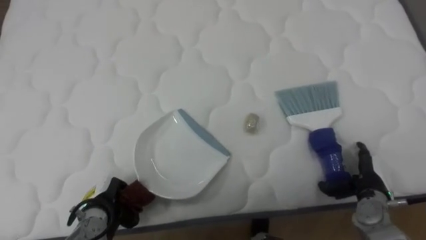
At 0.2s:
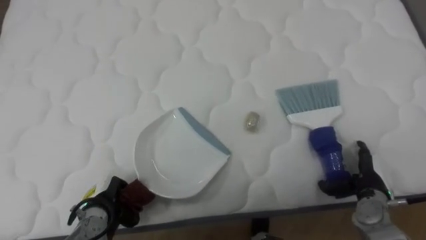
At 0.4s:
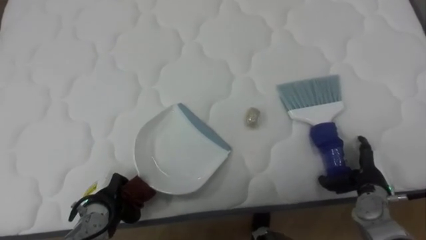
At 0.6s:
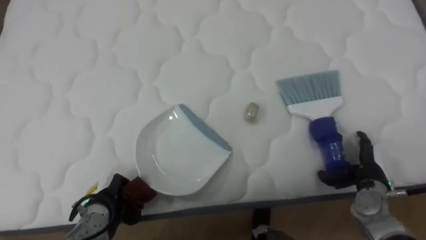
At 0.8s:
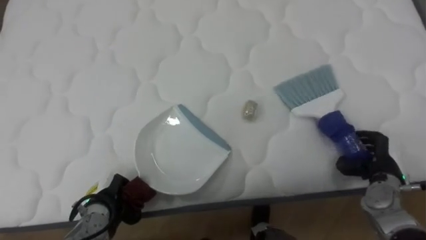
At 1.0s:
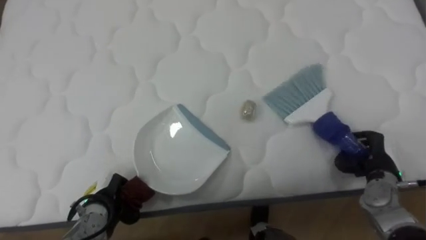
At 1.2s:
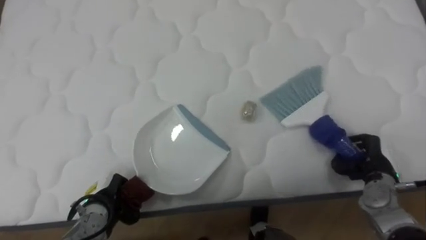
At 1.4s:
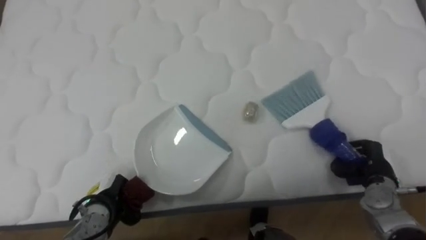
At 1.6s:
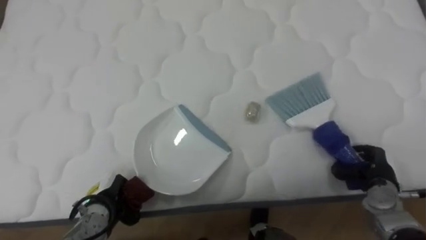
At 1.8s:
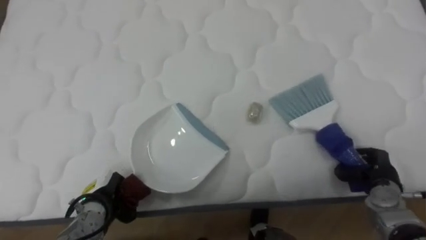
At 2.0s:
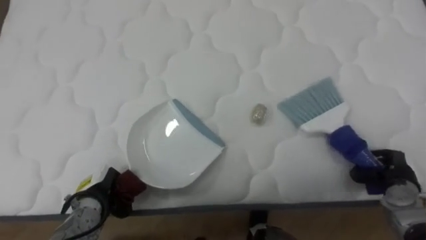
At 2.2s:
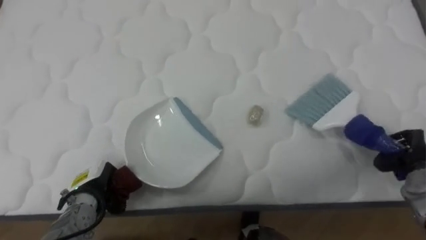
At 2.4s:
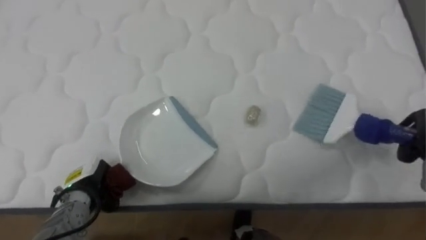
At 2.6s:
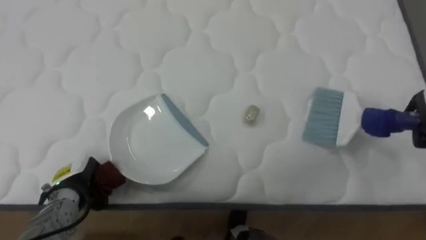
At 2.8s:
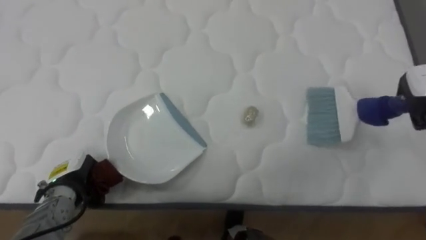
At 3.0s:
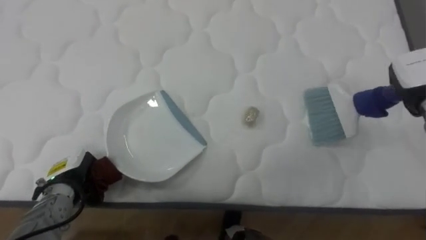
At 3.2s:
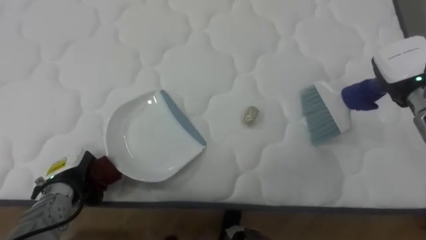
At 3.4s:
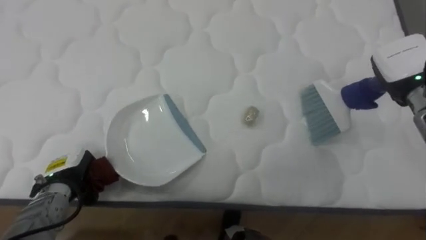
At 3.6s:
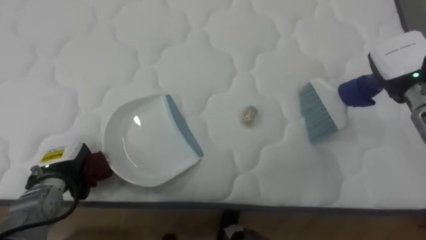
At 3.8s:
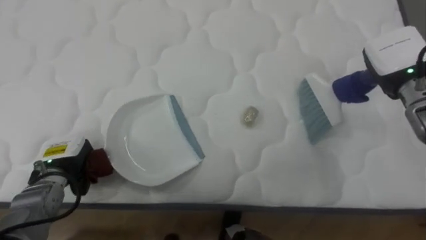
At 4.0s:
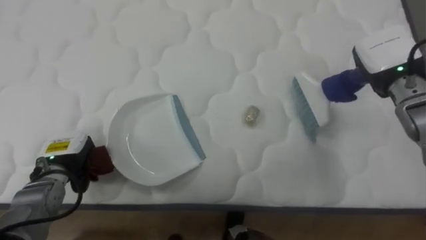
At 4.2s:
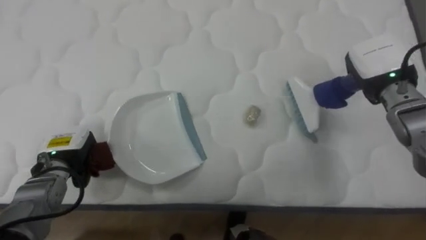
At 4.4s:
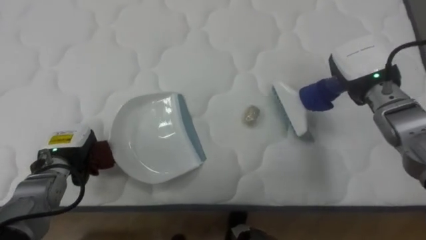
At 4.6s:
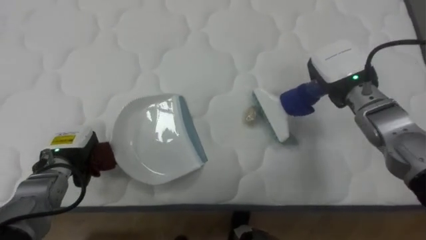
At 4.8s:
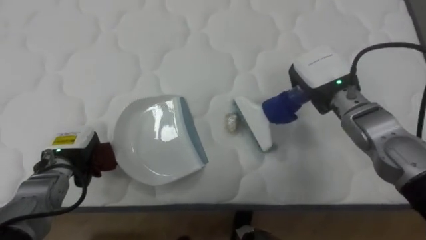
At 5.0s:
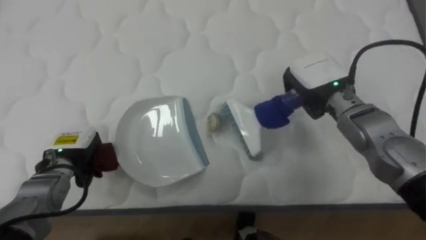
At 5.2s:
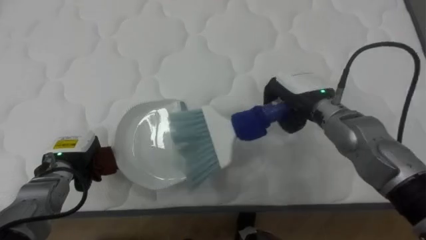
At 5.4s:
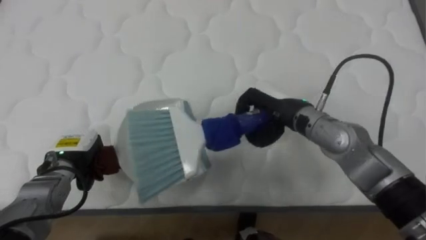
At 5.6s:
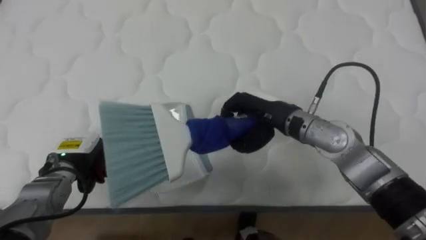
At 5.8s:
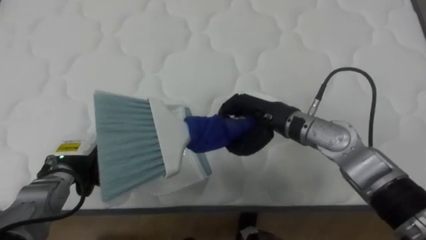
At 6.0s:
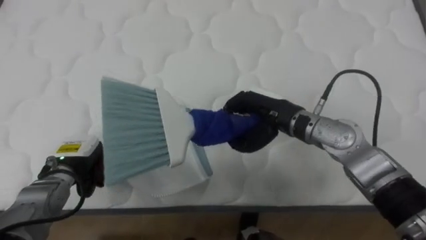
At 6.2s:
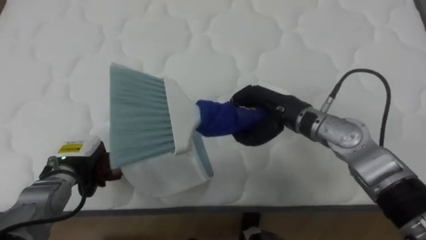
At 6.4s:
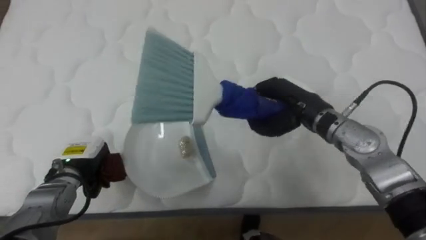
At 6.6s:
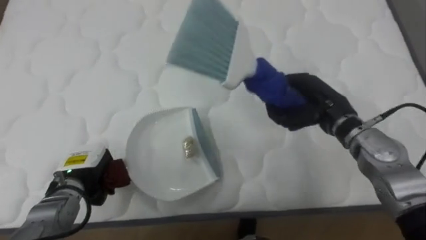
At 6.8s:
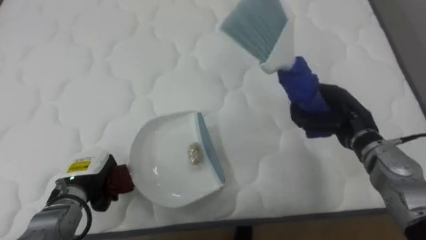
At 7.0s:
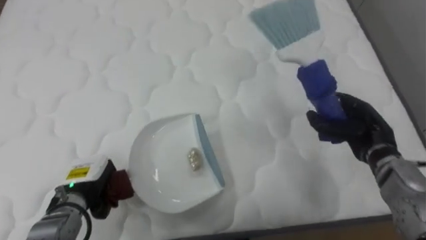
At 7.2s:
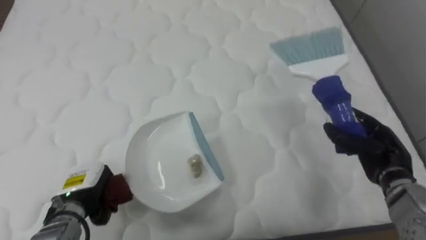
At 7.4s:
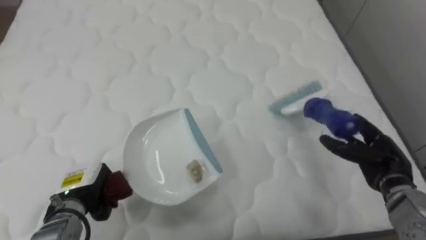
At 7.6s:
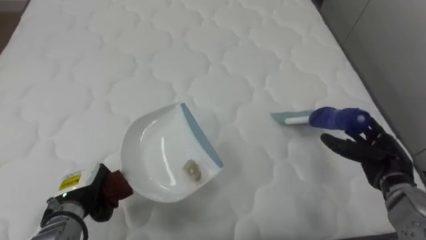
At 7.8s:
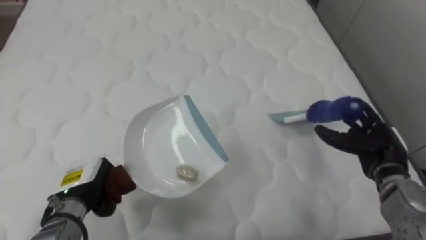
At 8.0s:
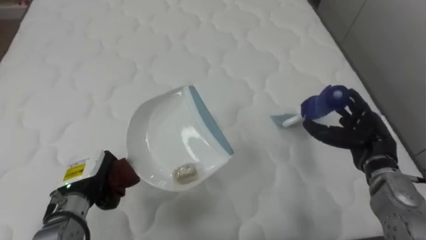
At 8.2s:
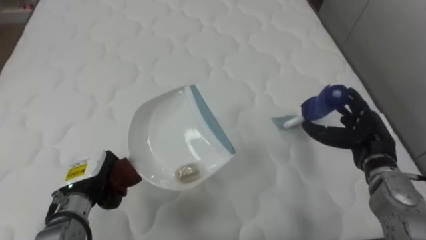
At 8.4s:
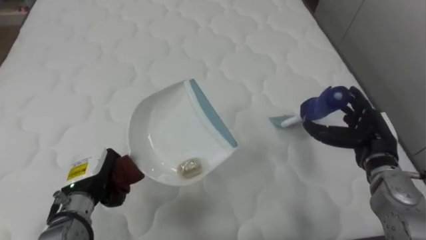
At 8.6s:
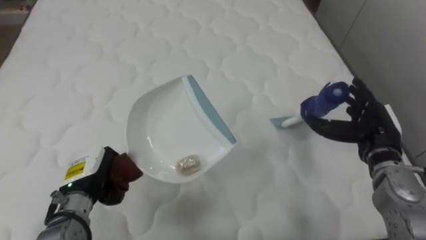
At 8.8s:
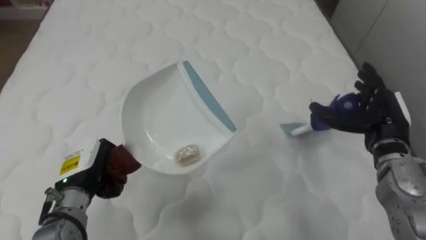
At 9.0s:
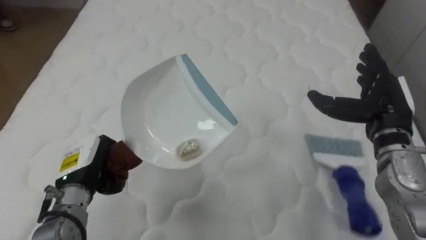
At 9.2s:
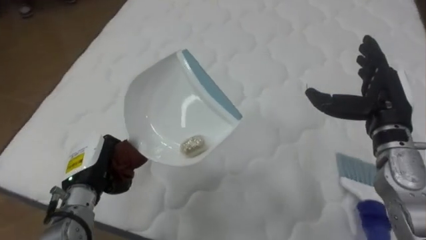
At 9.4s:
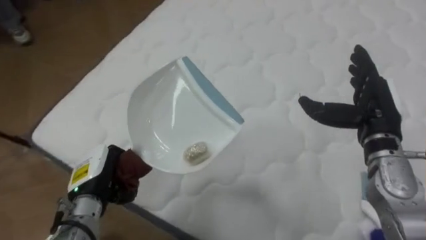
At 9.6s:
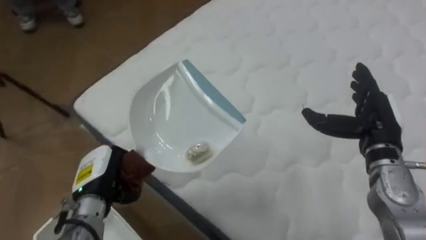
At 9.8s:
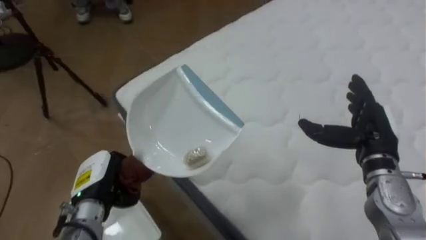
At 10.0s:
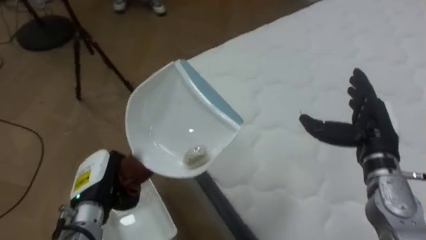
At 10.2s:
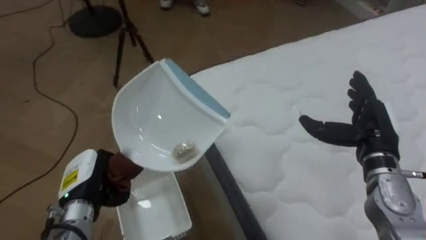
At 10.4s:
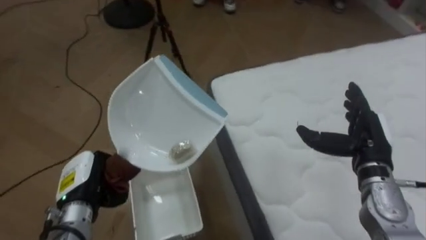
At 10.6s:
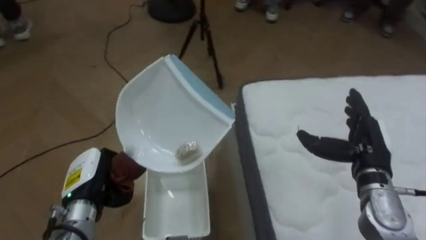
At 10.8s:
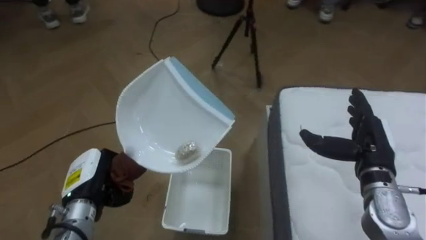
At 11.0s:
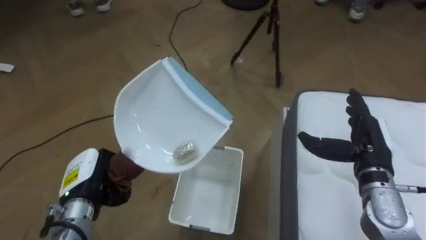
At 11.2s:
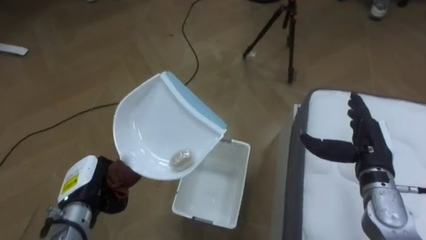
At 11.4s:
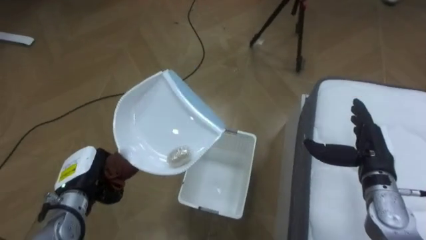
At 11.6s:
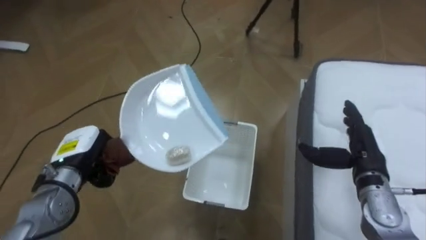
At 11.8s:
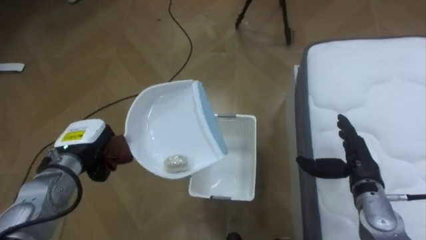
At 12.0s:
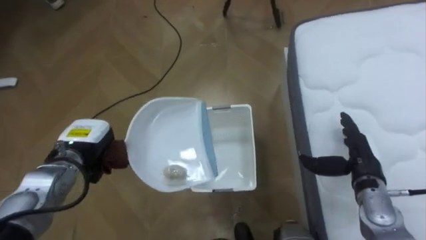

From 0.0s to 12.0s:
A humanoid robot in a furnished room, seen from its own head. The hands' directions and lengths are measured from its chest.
Task of the whole recording: Pick up the brush on your right and the dustpan on your left. Use the brush to sweep the crumpled paper on the bed into the dustpan, then turn left and empty it into the basket.
From 0.0s to 1.6s: The right hand closes.
From 1.6s to 3.0s: The left hand shifts about 10 cm to the left and upward.
From 3.0s to 4.4s: The left hand shifts by approximately 5 cm. The right hand is displaced to the left by some 10 cm.
From 4.4s to 6.0s: The right hand goes approximately 15 cm to the left.
From 6.0s to 7.6s: The right hand goes approximately 25 cm to the right and downward, and opens up. The left hand travels backward by roughly 5 cm.
From 7.6s to 9.0s: The right hand goes roughly 10 cm upward. Meanwhile the left hand travels upward by some 5 cm.
From 9.0s to 10.4s: The robot turns to its left by about 60 degrees. The right hand heads downward, covering approximately 5 cm.
From 10.4s to 12.0s: The left hand is displaced forward by roughly 10 cm. Meanwhile the right hand moves downward, some 5 cm.

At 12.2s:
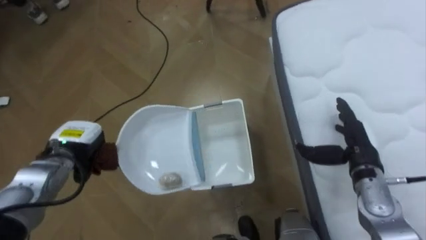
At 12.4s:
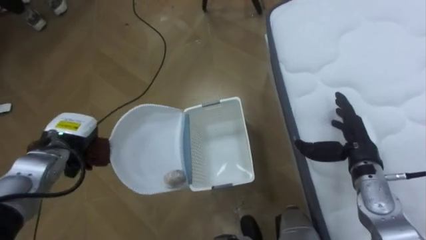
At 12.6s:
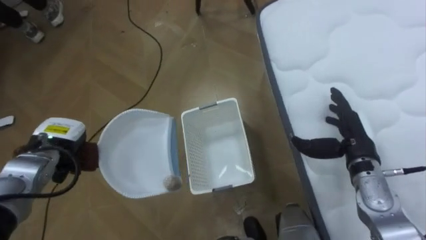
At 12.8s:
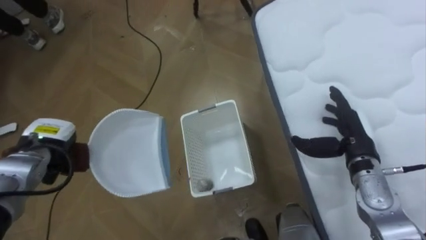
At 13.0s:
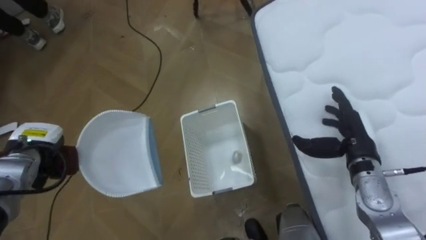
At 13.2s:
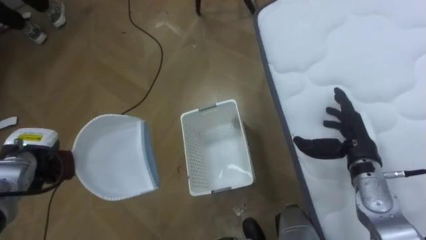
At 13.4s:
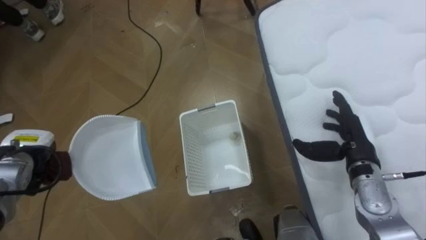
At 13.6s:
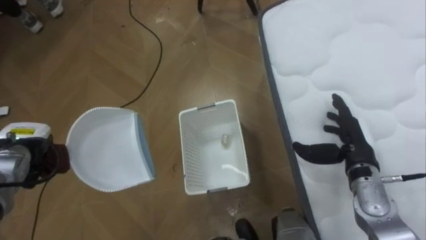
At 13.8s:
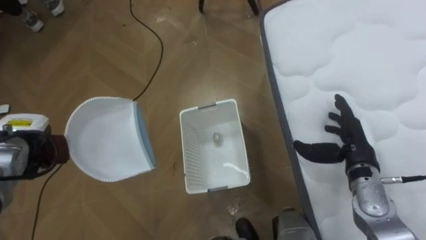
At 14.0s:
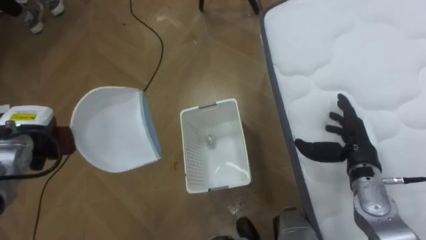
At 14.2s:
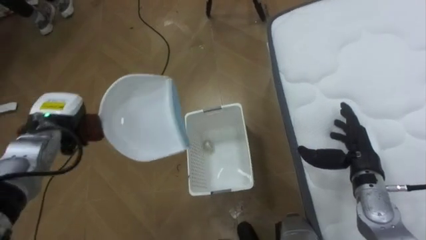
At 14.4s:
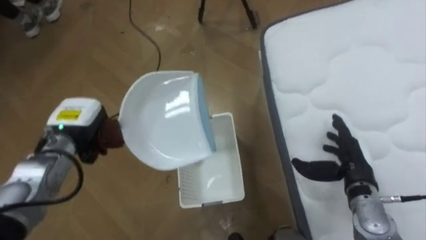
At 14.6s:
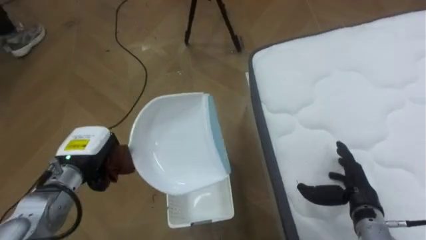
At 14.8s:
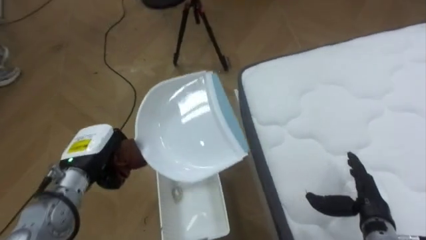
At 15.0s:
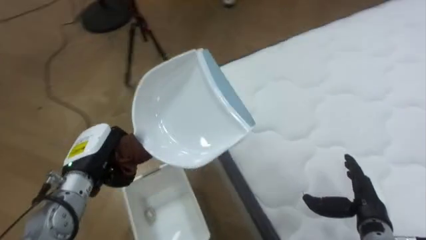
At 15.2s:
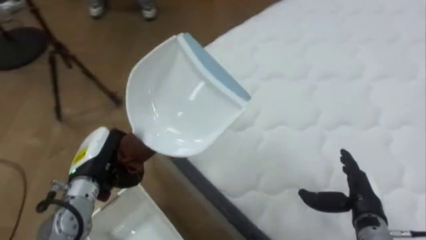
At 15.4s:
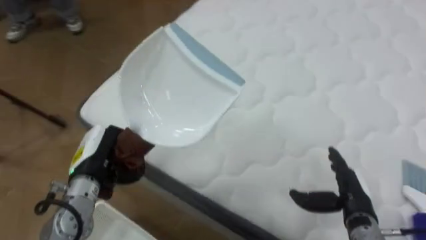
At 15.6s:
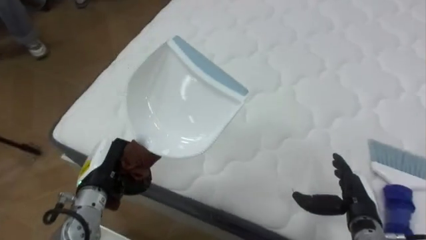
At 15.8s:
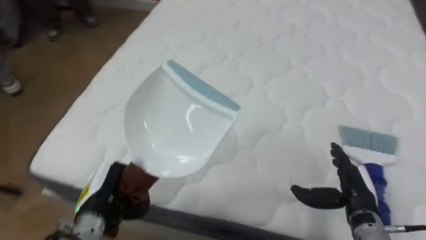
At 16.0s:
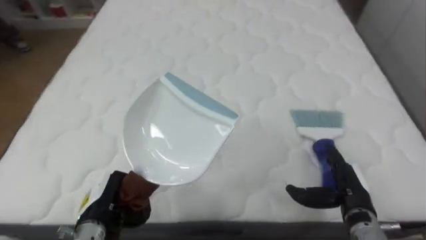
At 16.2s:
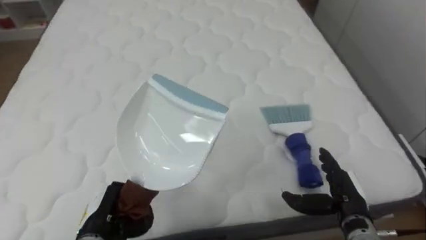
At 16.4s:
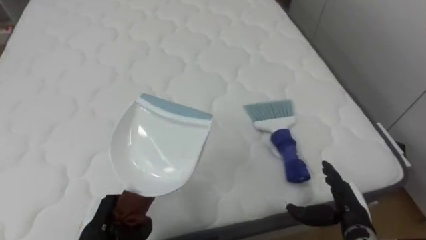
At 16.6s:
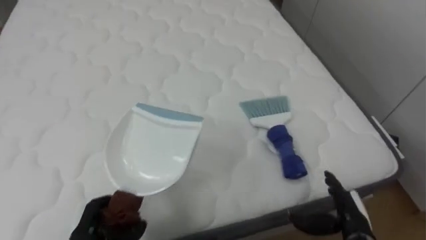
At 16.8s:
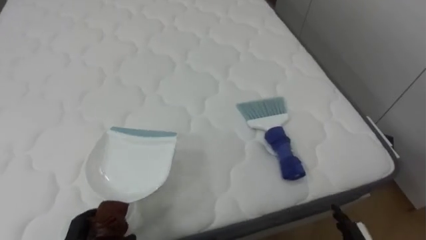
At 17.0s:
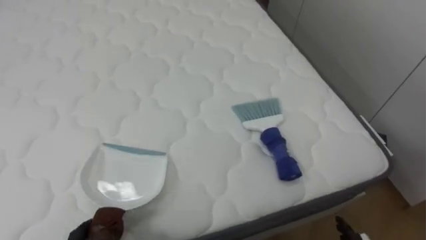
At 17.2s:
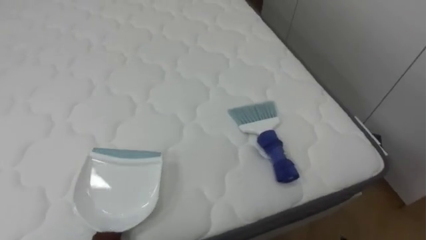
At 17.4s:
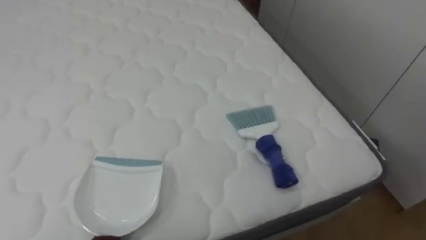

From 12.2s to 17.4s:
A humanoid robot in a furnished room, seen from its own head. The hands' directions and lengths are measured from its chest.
Task of the whole recording: Pick up the brush on your right and the dustpan on your left. Use the brush to sweep the crumpled paper on the bed into the dustpan, then turn left and empty it into the basket.
From 12.2s to 14.0s: The left hand goes about 10 cm to the left.
From 14.0s to 15.6s: The robot turns to its right by some 75 degrees. The right hand travels backward and downward by approximately 10 cm; the left hand moves to the right and backward, about 15 cm.
From 15.6s to 17.4s: The robot faces roughly 45 degrees further to its right.
